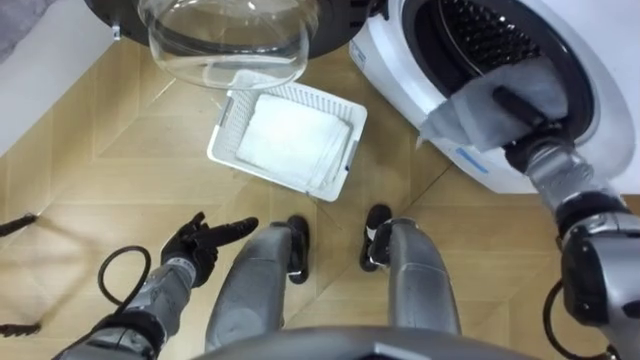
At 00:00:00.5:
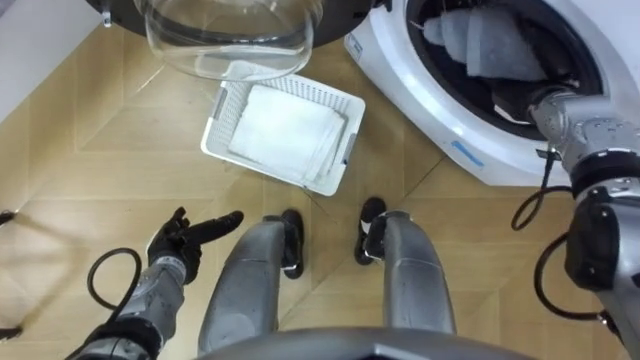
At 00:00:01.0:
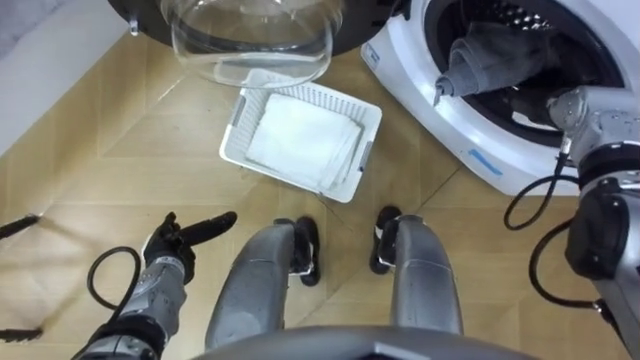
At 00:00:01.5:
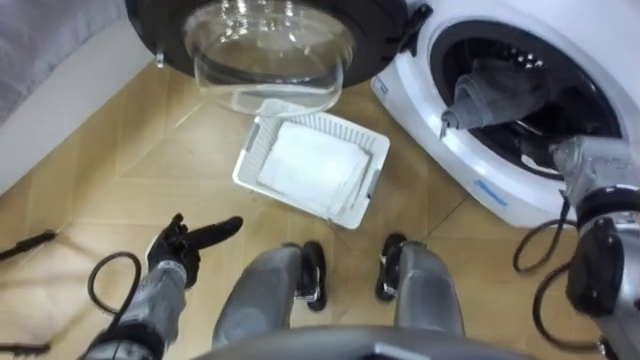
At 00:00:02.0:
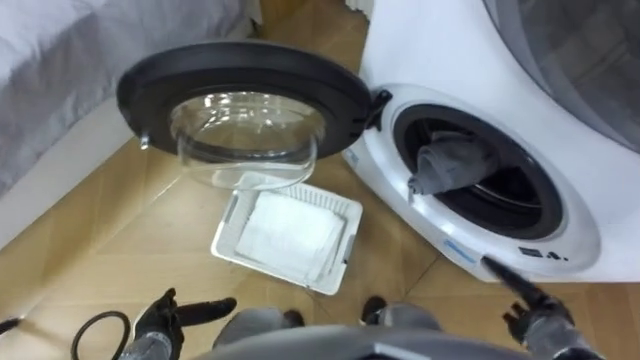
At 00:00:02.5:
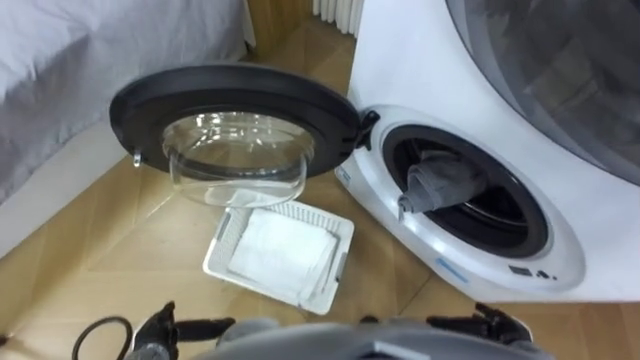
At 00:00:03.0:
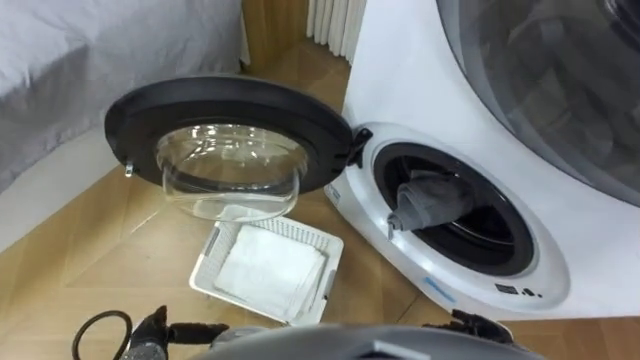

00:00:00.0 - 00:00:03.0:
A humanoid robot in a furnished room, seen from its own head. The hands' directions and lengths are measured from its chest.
Task of the whole recording: Take the towel from the basket and put it into the washing machine.
00:00:00.0 - 00:00:01.5: The right hand opens up.
00:00:01.5 - 00:00:03.0: The left hand is displaced backward by about 15 cm, while the right hand is displaced backward and downward by some 30 cm.
